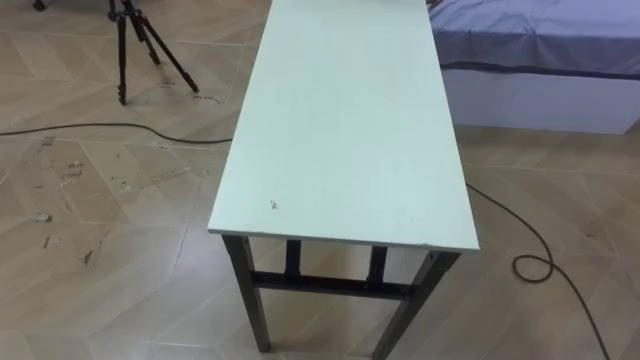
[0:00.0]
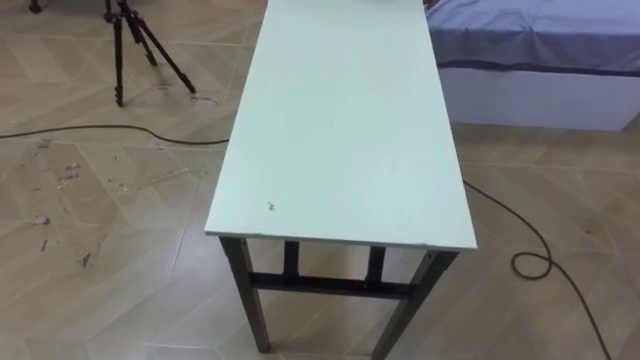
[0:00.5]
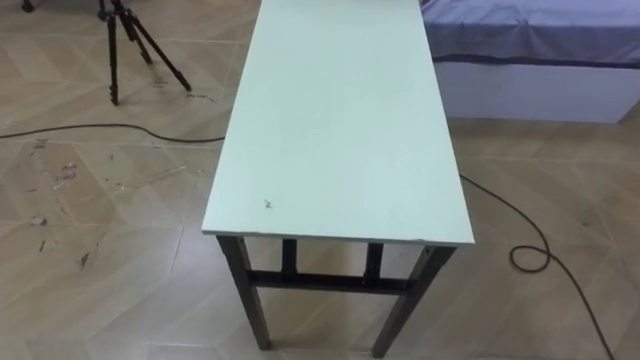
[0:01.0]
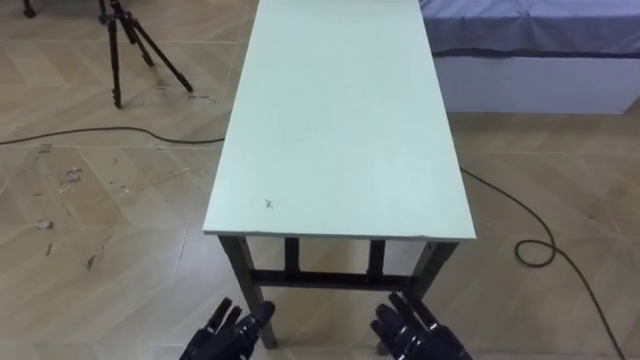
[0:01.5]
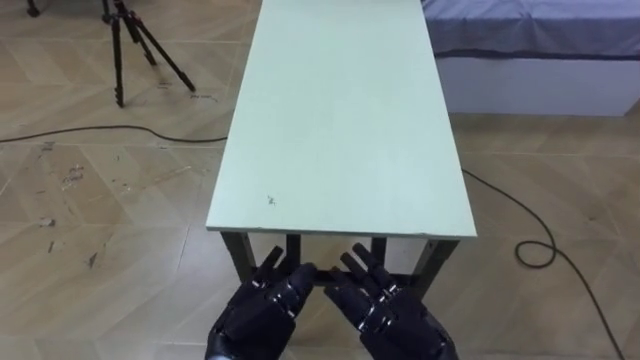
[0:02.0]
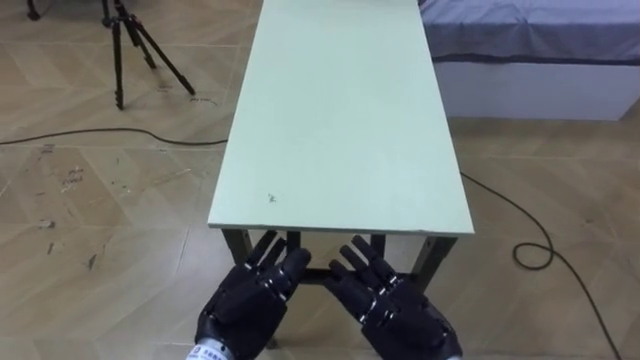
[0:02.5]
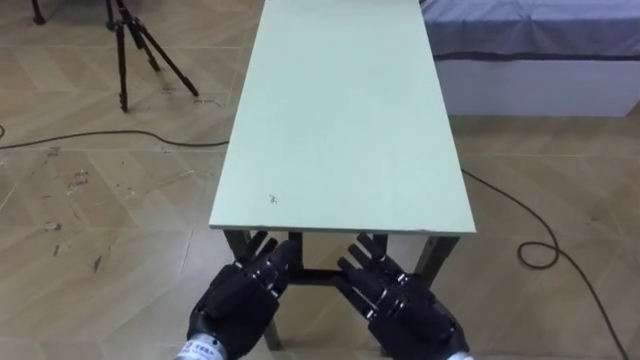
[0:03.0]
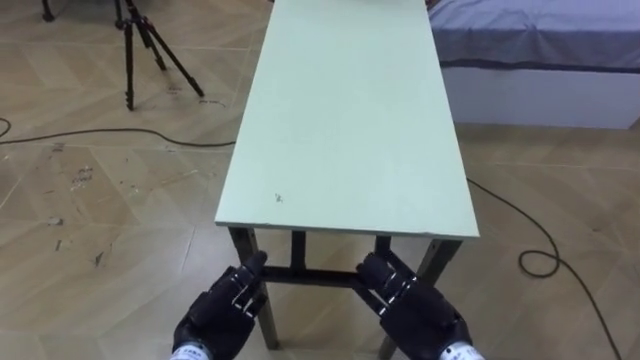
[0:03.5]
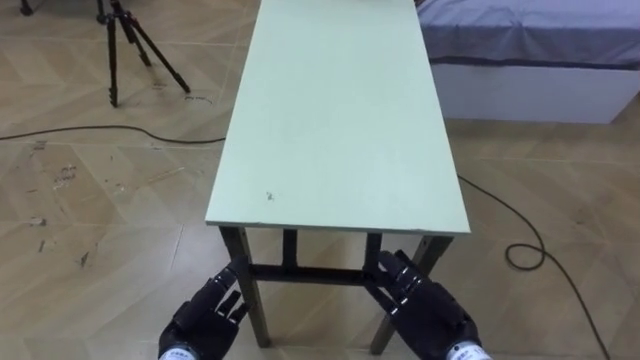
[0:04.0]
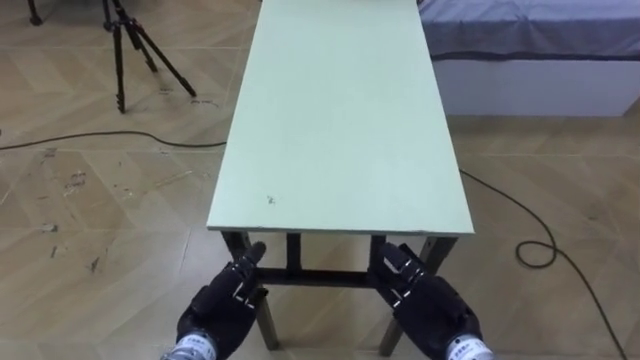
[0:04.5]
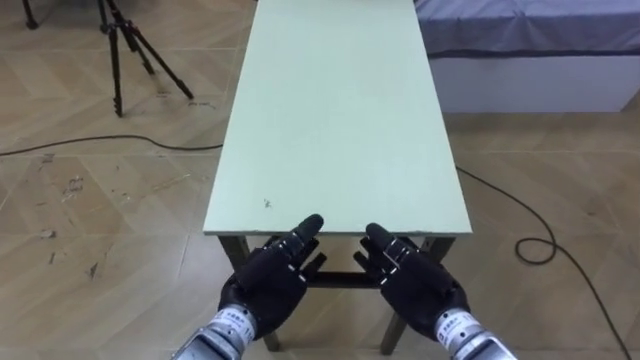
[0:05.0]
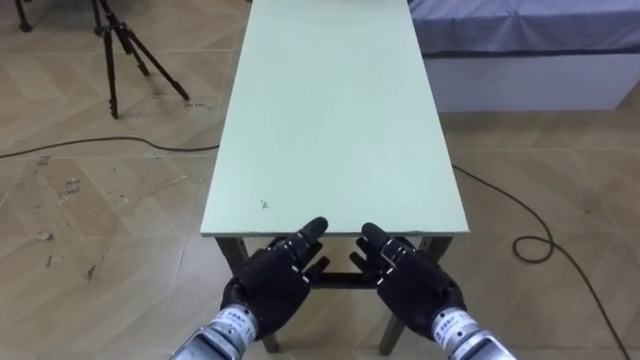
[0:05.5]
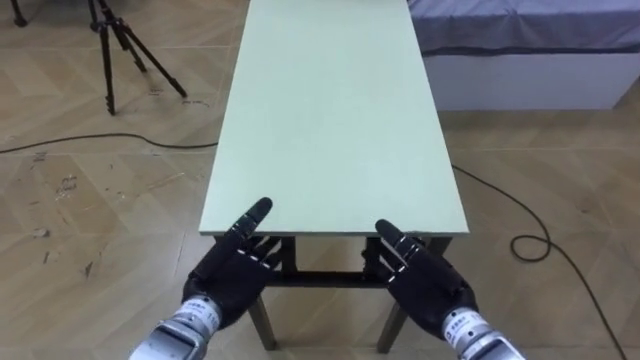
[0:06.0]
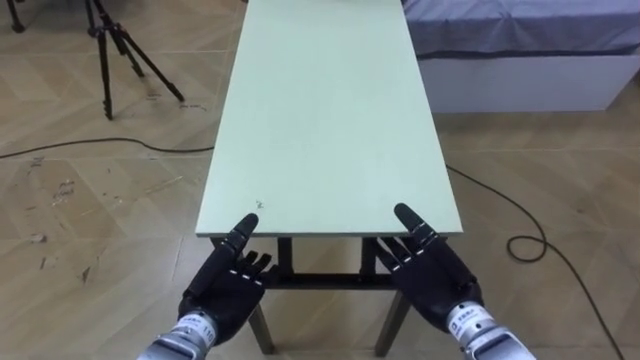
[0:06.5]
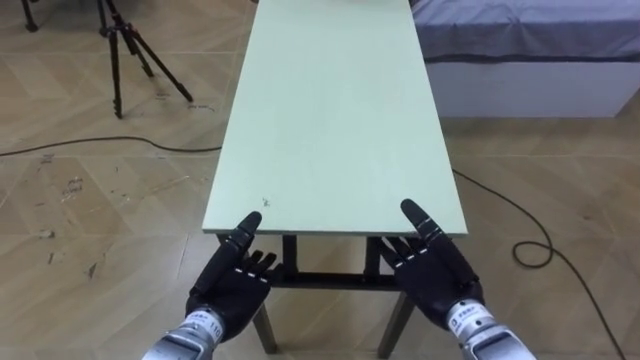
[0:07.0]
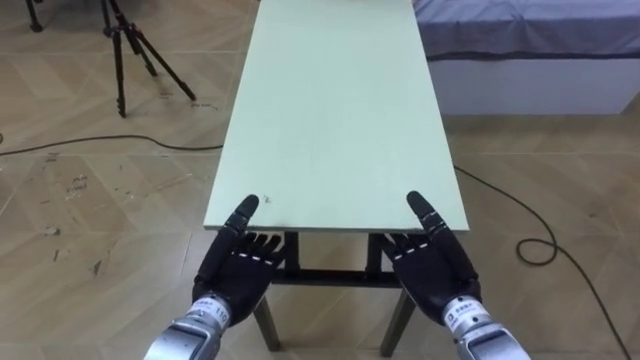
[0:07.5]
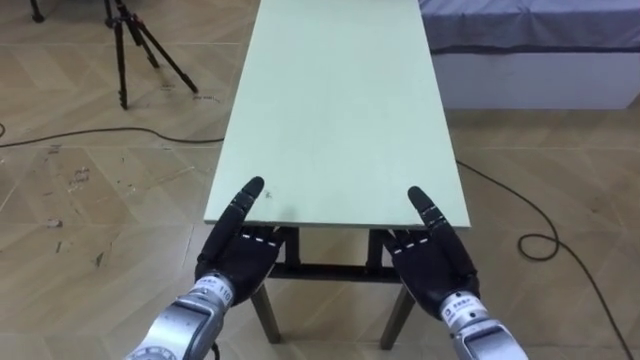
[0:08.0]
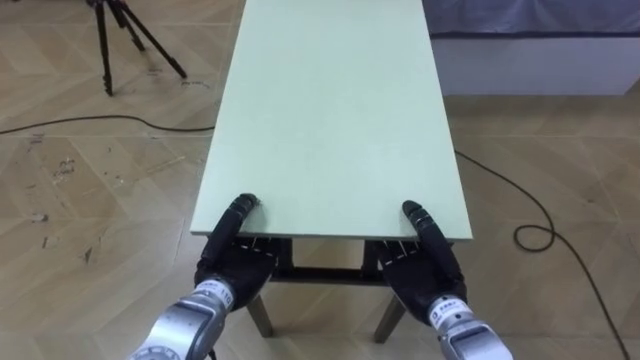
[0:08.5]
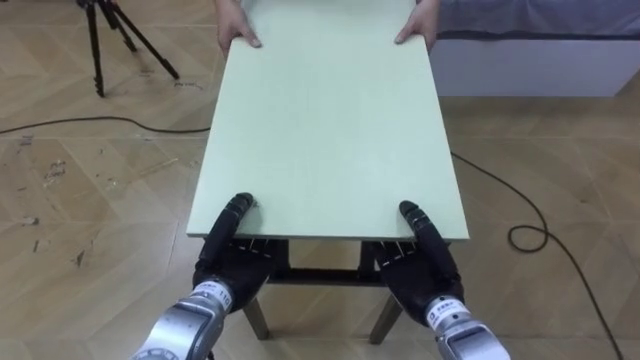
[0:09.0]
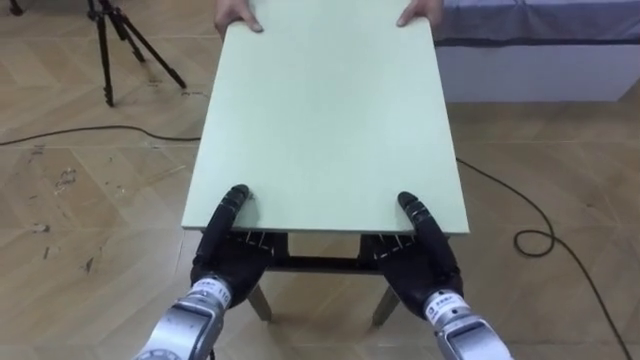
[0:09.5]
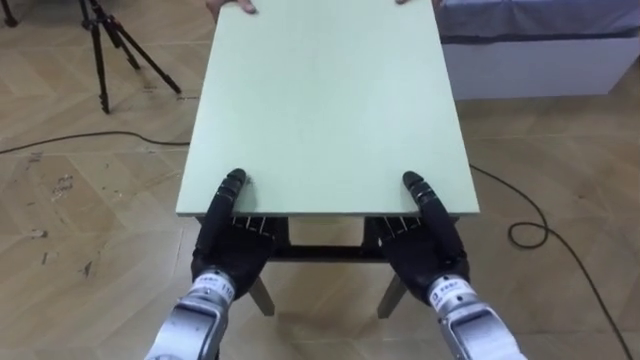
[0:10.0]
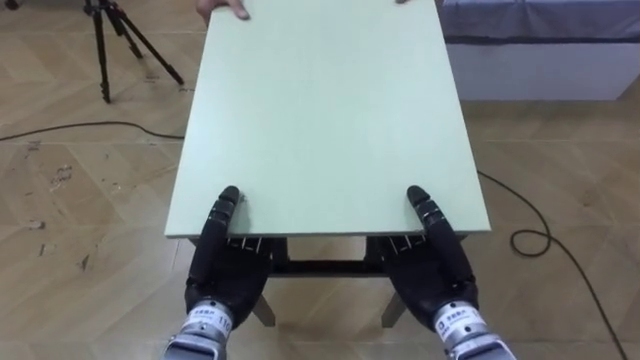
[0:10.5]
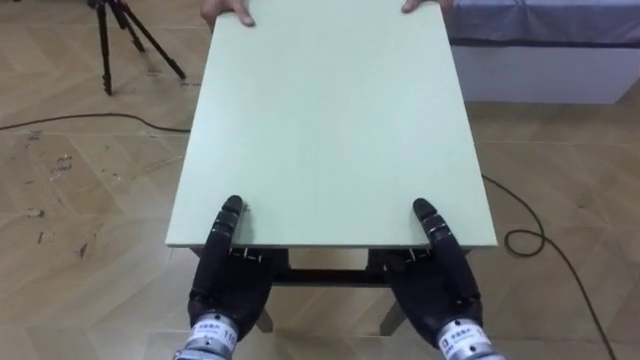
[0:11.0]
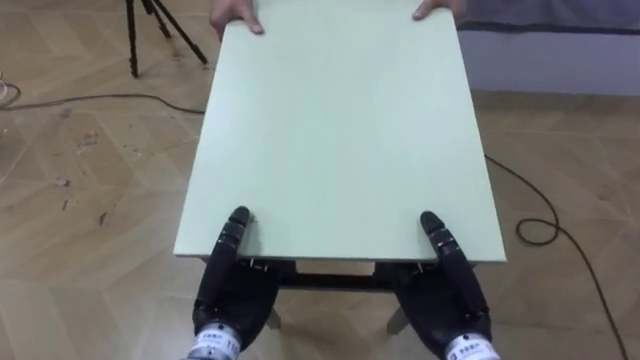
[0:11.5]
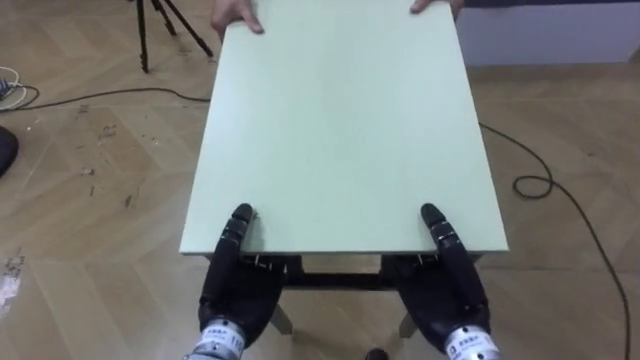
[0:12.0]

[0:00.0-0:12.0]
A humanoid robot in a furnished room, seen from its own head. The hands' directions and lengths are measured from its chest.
Task of the whole recording: Move the table to the back left with someone.
0:02.0 to 0:04.0: The left hand moves to the left and downward, about 10 cm. Meanwhile the right hand moves about 5 cm.
0:04.0 to 0:06.0: The left hand heads upward, covering approximately 10 cm.
0:08.0 to 0:10.0: The left hand closes up. The right hand closes its fingers.
0:10.0 to 0:12.0: The right hand shifts about 5 cm backward, while the left hand shifts by some 5 cm.

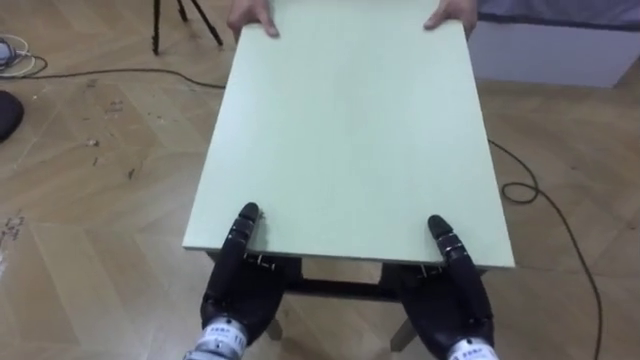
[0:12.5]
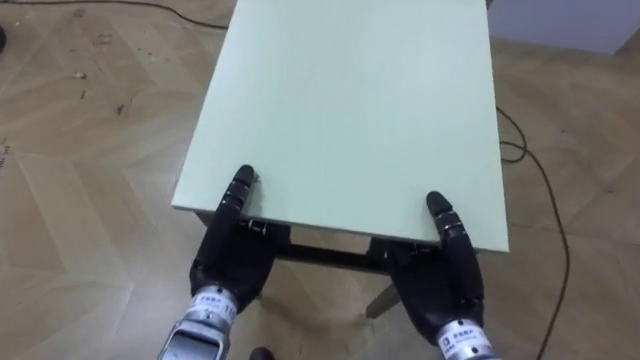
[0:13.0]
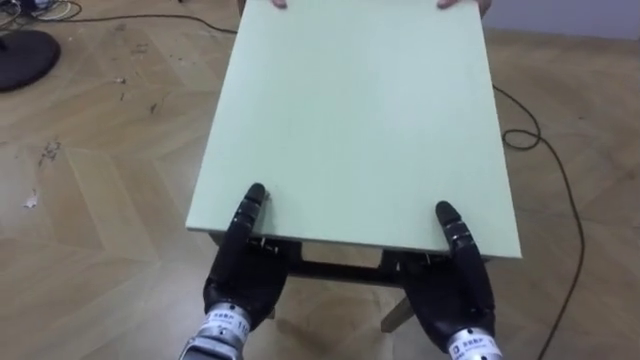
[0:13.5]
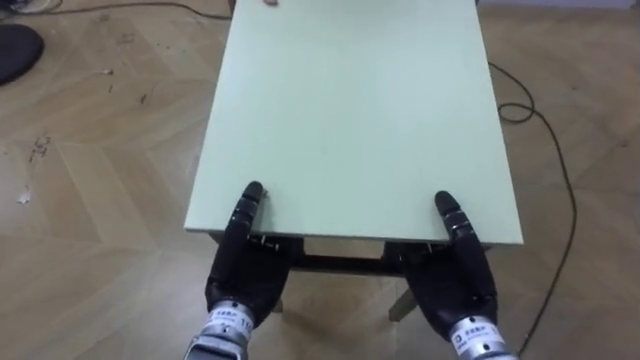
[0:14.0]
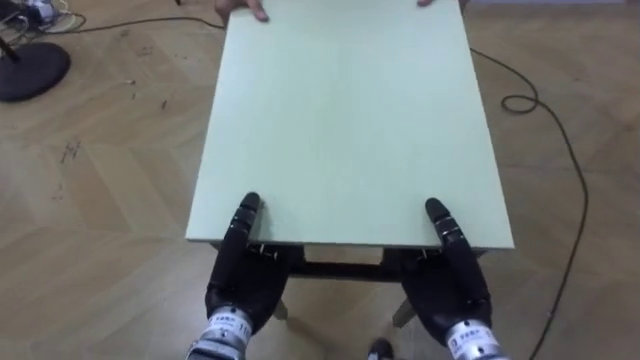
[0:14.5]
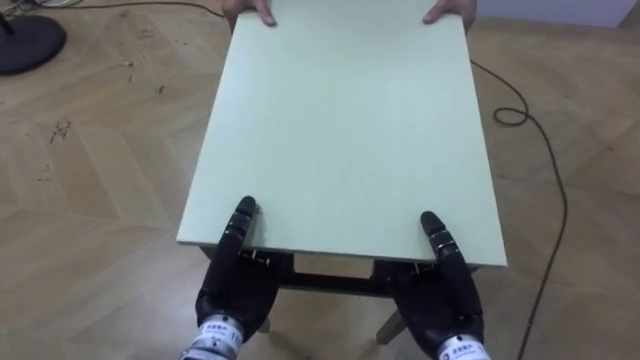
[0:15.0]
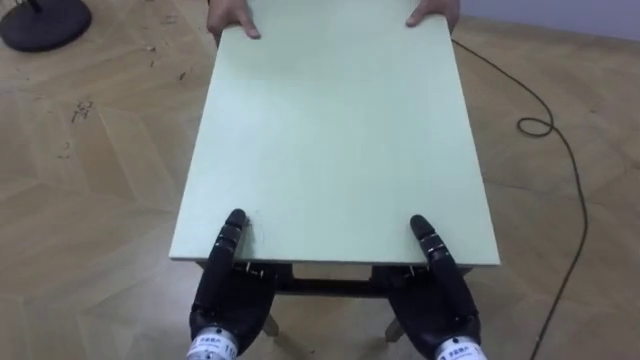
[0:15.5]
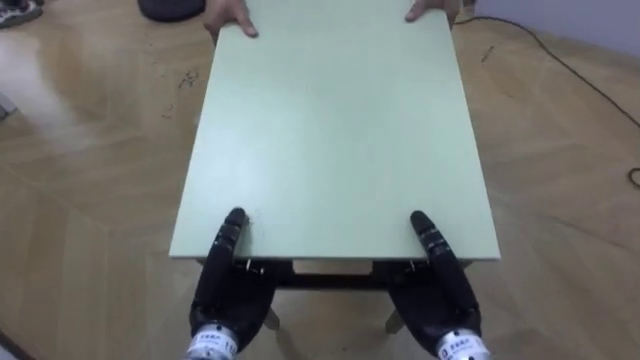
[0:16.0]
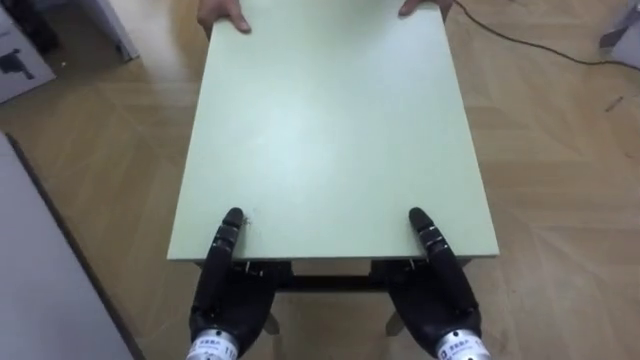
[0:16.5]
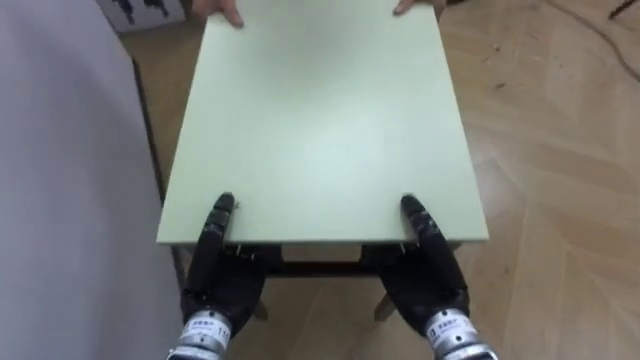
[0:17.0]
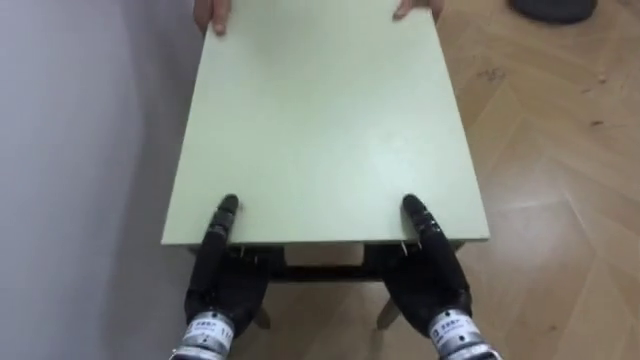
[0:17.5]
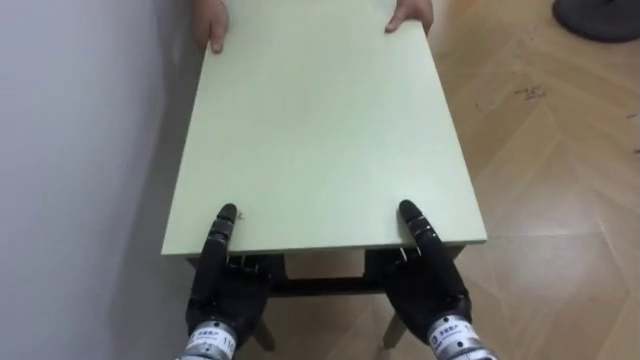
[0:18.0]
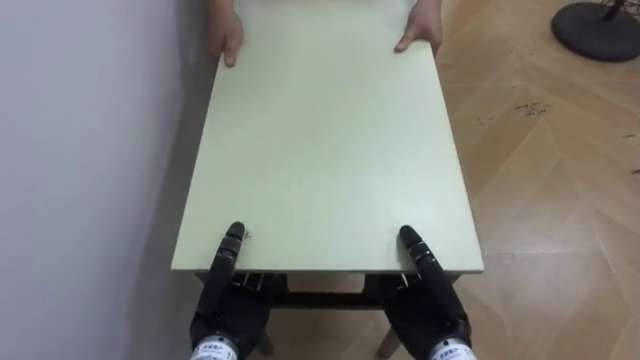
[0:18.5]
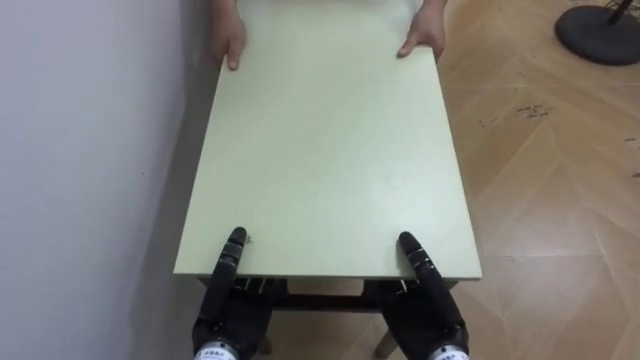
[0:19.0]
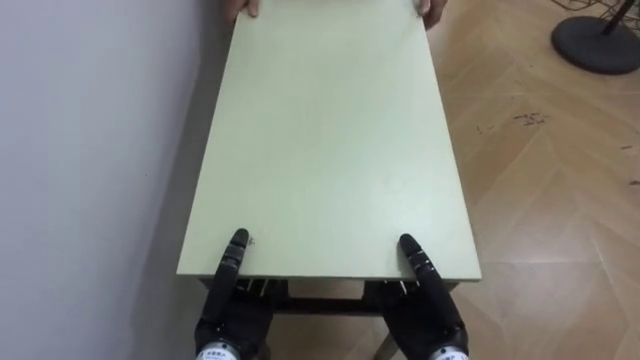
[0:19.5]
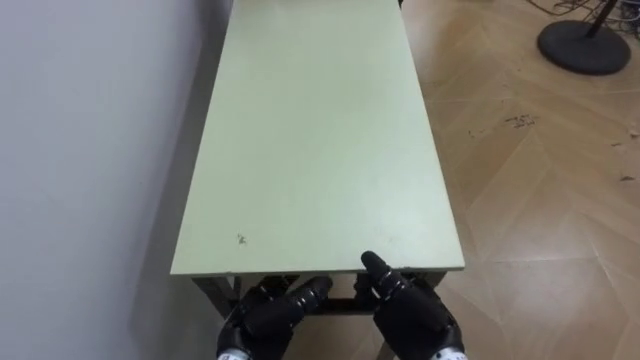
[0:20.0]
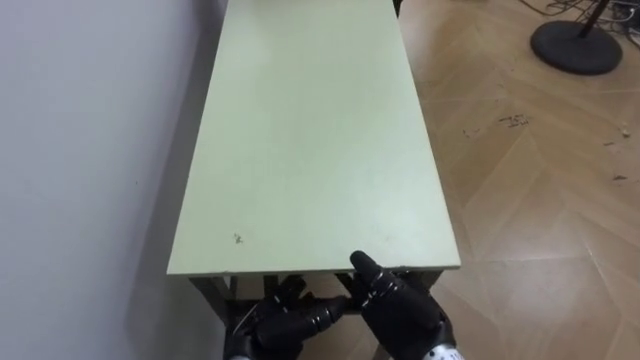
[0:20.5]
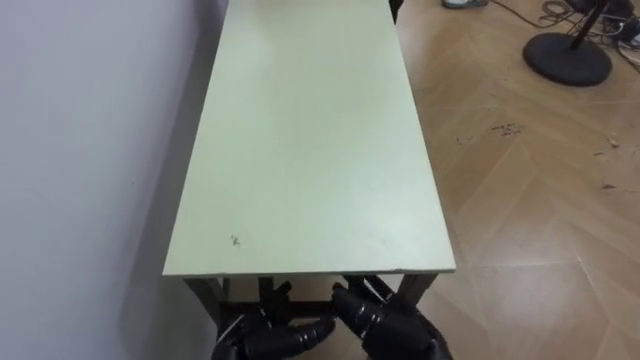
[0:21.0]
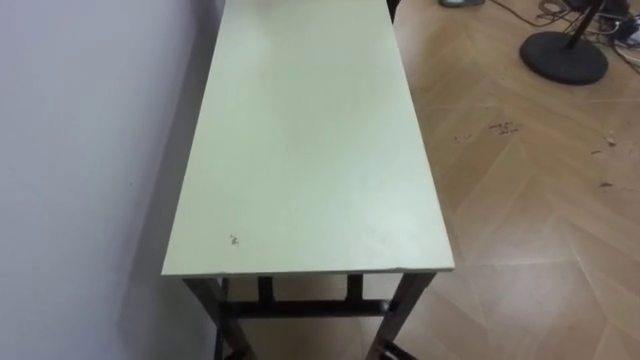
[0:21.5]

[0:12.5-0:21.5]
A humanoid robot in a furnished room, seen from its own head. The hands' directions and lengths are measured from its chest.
Task of the whole recording: Move the table to the back left with someone.
0:14.5 to 0:17.0: The robot turns to its left by about 50 degrees.
0:17.0 to 0:19.5: The robot faces some 30 degrees further to its left. The hands both shift downward by about 5 cm.
